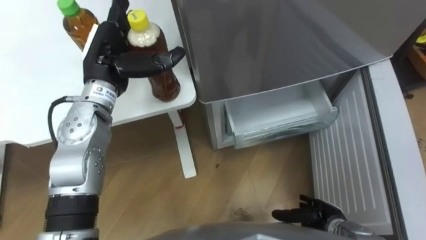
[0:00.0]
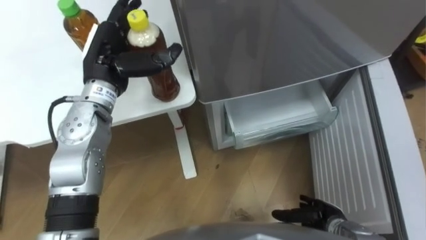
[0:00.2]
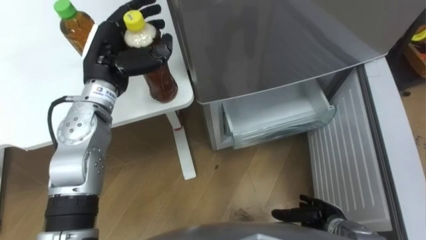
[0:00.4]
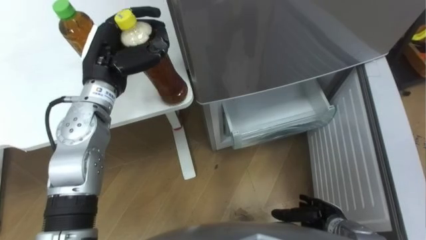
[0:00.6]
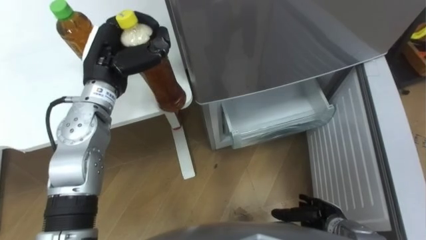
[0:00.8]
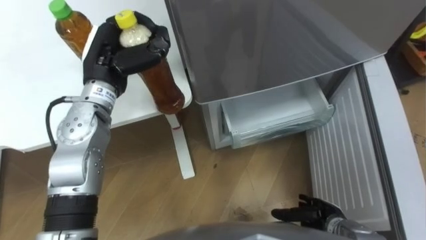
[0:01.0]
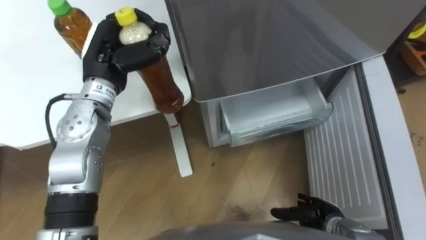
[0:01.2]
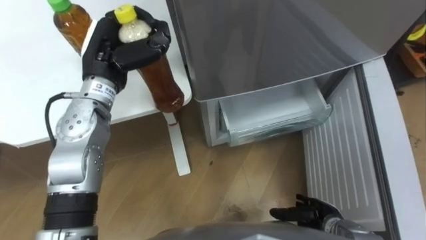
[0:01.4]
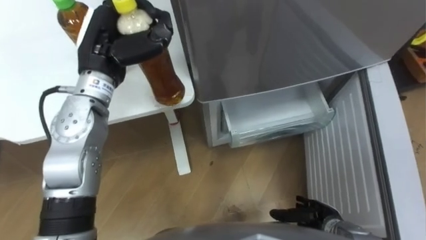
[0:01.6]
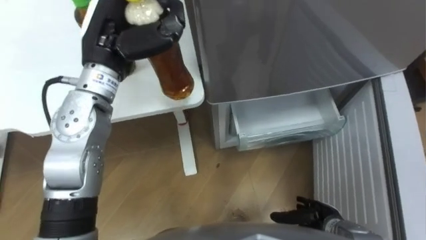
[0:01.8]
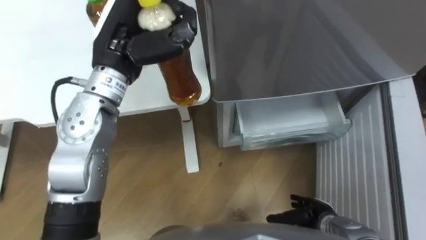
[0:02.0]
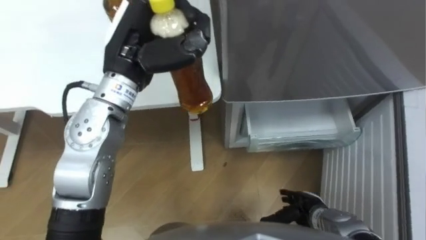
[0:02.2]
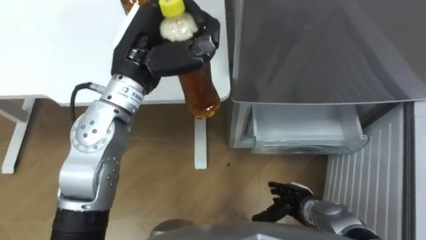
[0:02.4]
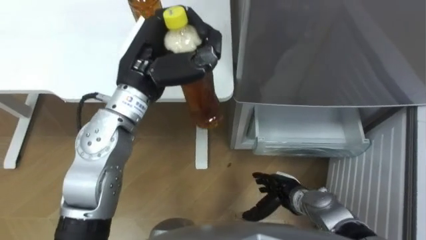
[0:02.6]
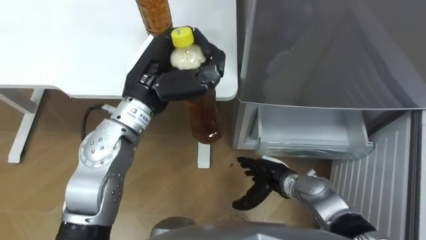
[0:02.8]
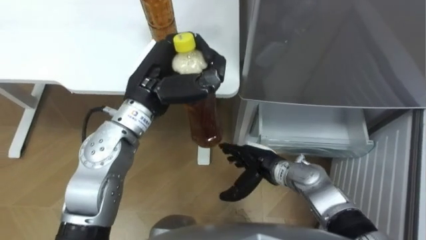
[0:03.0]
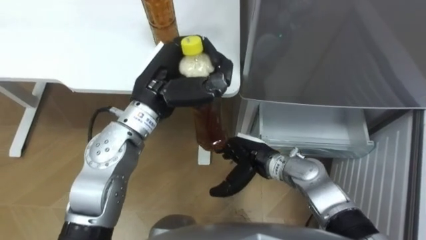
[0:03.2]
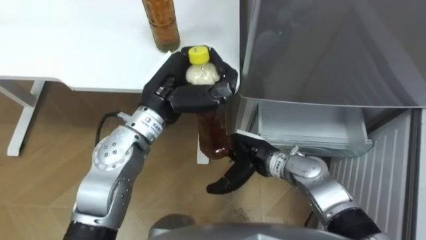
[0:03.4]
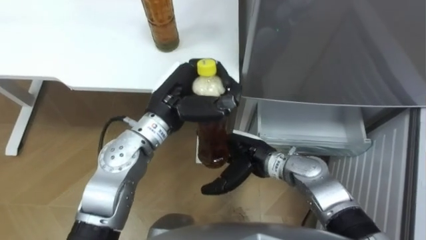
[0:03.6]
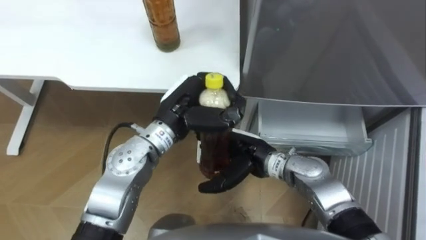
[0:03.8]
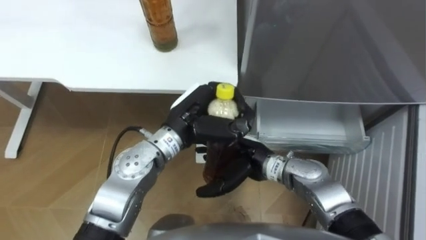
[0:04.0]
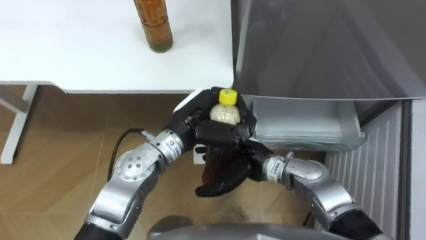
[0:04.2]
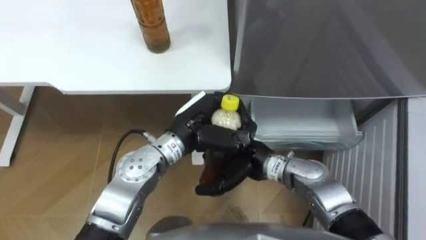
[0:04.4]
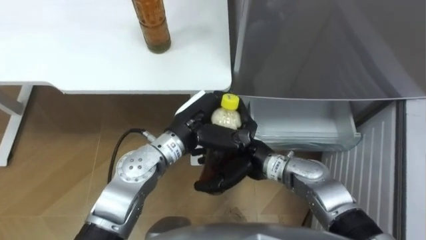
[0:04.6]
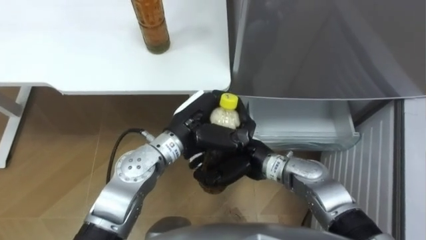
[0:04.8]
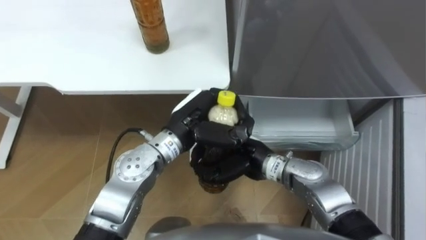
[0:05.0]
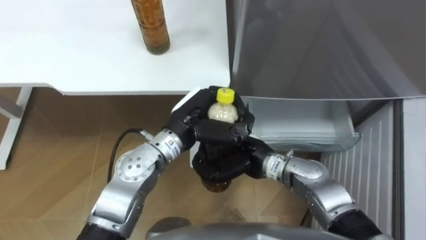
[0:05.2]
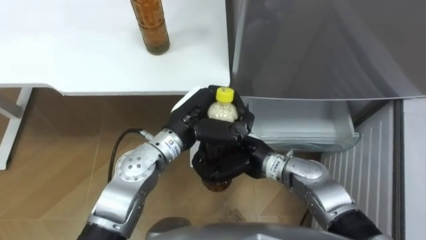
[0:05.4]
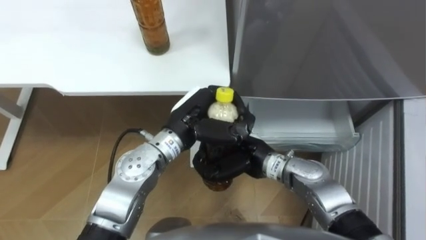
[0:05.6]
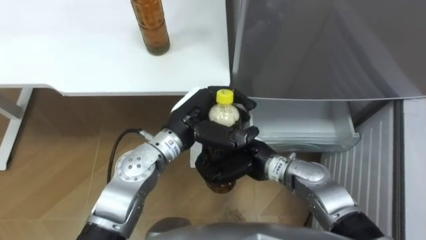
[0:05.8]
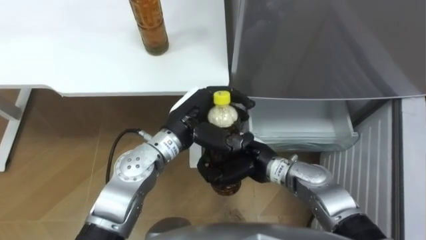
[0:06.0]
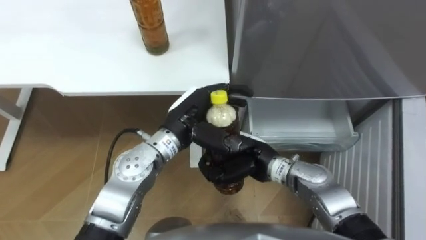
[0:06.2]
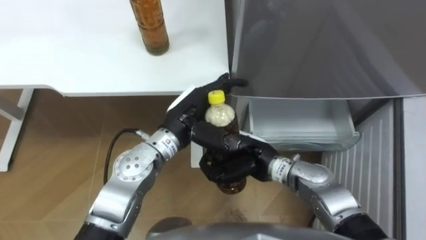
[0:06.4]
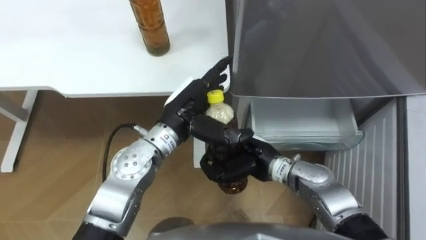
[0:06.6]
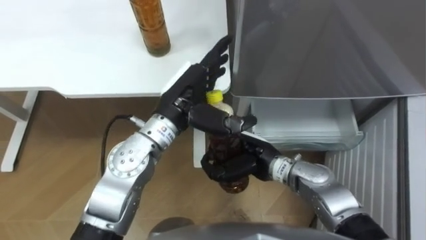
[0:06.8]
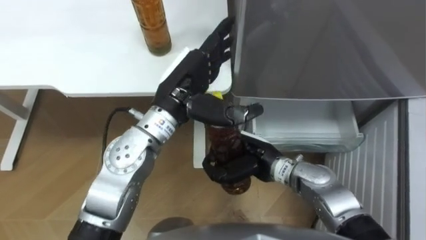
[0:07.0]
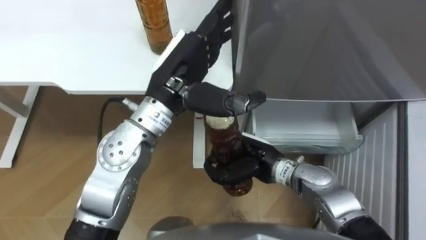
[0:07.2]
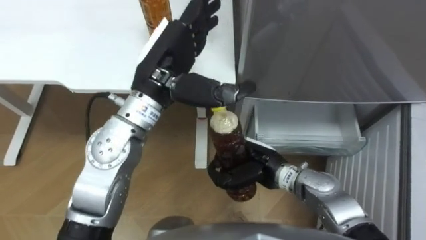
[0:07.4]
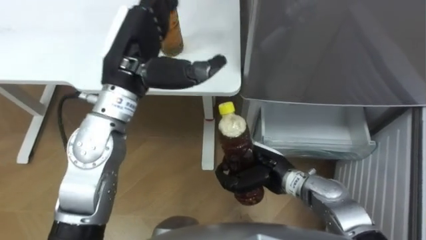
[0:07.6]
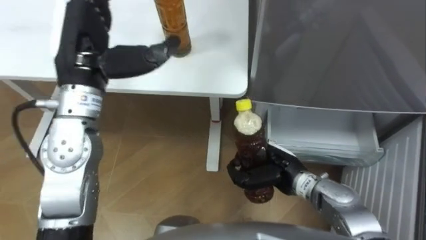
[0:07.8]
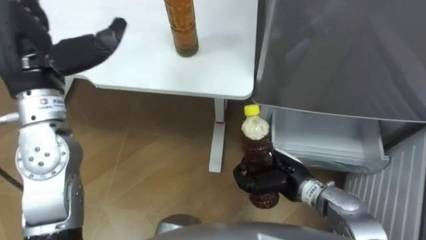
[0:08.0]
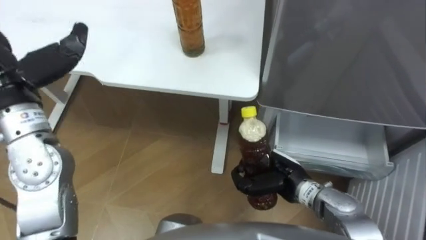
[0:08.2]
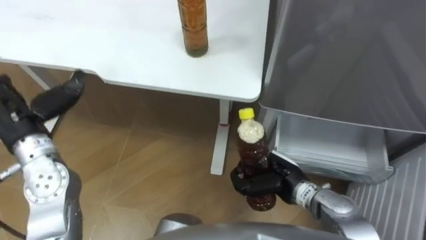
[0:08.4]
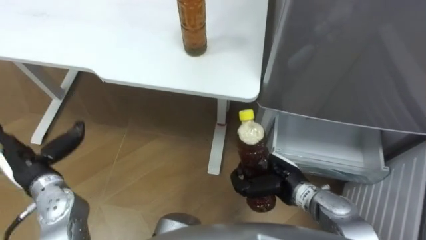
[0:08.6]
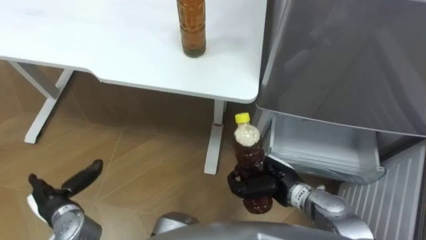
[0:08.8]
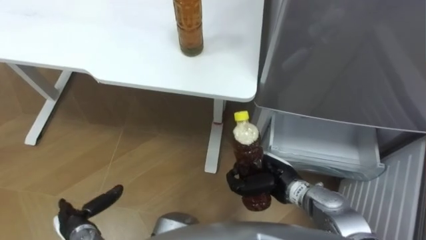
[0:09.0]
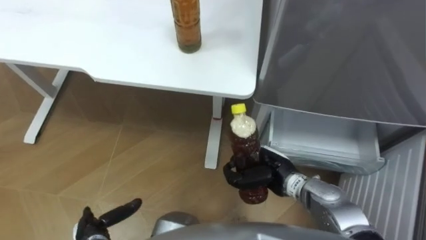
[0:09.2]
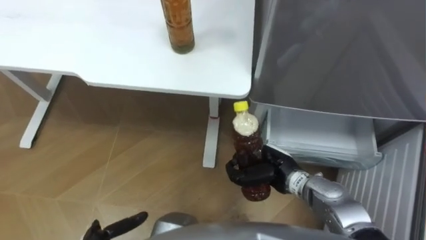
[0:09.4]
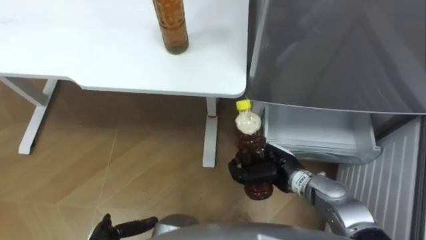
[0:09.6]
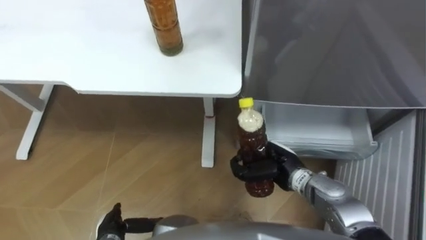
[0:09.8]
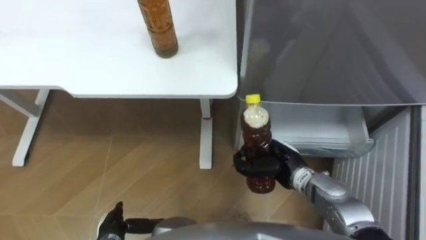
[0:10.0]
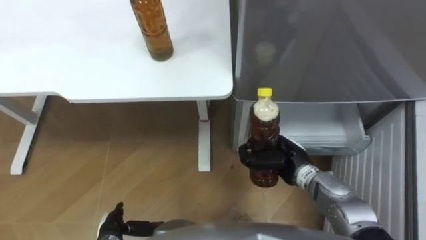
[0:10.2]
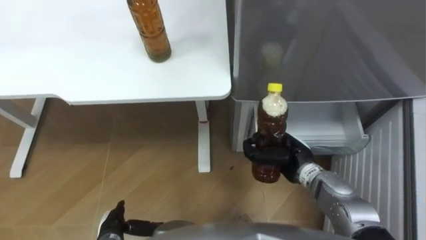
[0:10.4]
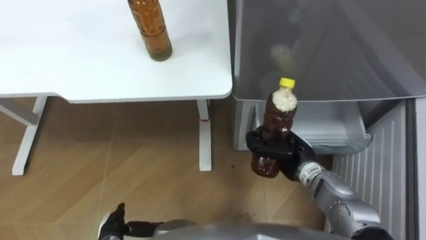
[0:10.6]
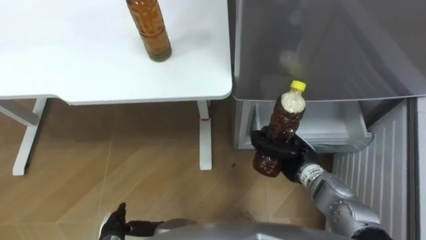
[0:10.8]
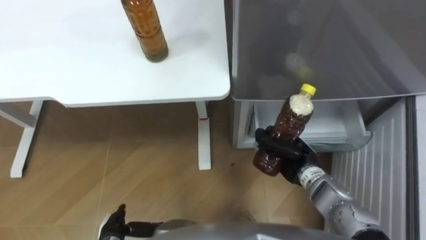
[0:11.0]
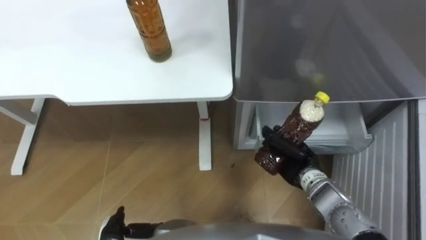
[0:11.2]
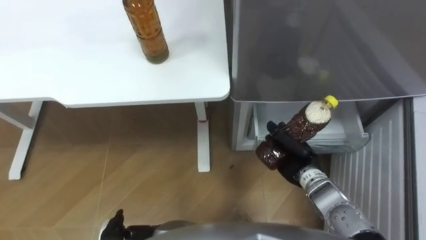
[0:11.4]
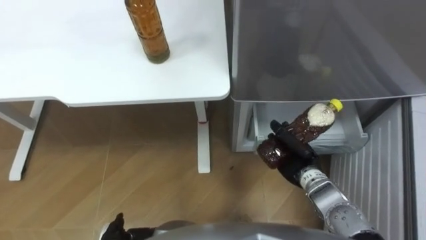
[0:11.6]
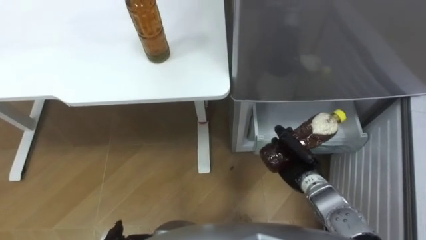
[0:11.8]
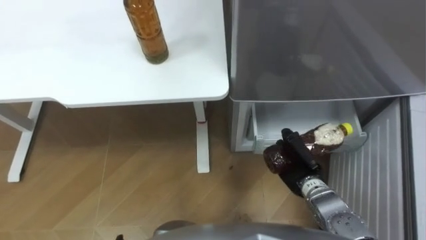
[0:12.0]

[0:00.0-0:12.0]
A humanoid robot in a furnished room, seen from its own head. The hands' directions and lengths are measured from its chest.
Task of the whole recording: Place the drink on the table on the bottom shelf of the refrigerator, then close the drawer and the refrigerator door.
0:00.0 to 0:01.6: The left hand closes up.
0:01.6 to 0:03.0: The right hand heads to the left, forward and upward, covering about 20 cm. The left hand is displaced to the right by about 10 cm.
0:03.0 to 0:04.4: The left hand travels downward and to the right by about 10 cm. The right hand heads upward, covering approximately 5 cm.
0:04.4 to 0:06.0: The right hand closes up.
0:06.0 to 0:07.6: The left hand goes some 15 cm upward and to the left, and opens its fingers.
0:09.0 to 0:10.4: The right hand ends up roughly 5 cm from where it was.
0:10.4 to 0:12.0: The right hand shifts by approximately 5 cm.

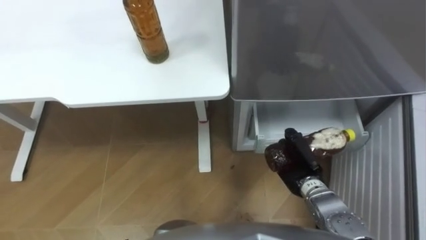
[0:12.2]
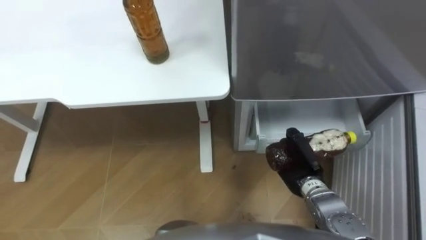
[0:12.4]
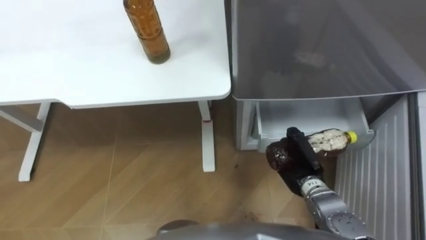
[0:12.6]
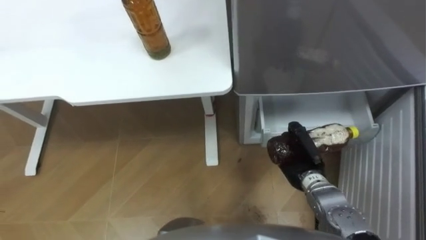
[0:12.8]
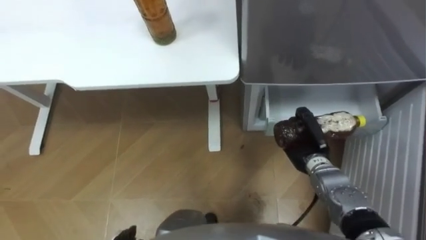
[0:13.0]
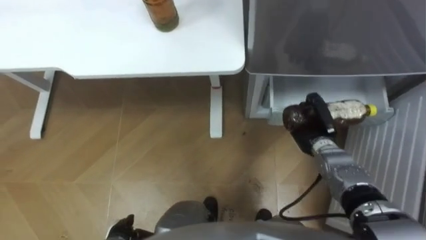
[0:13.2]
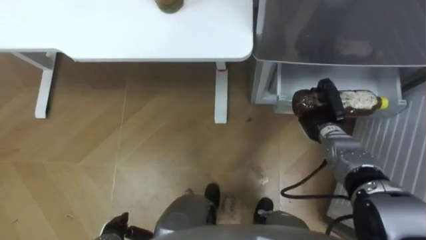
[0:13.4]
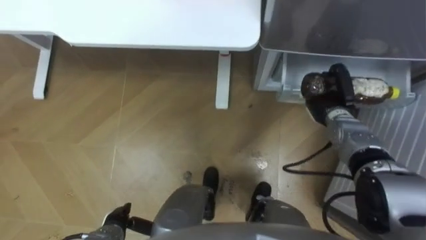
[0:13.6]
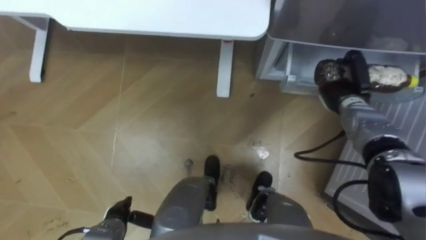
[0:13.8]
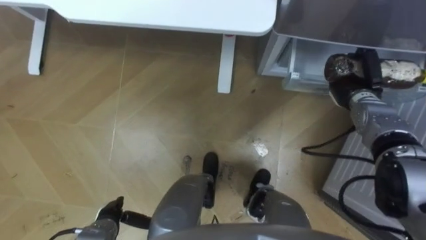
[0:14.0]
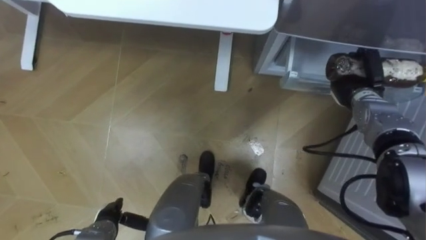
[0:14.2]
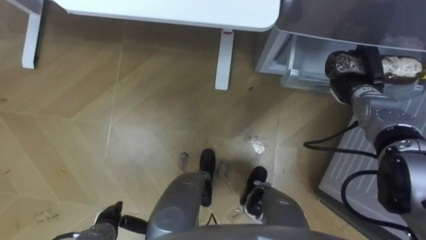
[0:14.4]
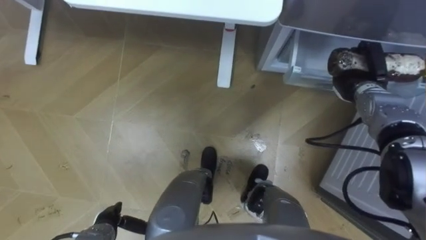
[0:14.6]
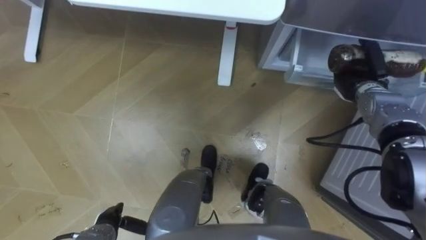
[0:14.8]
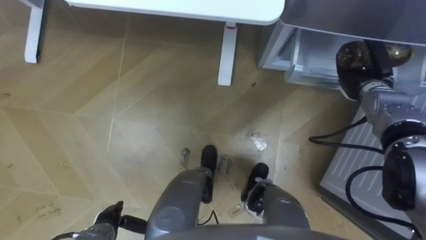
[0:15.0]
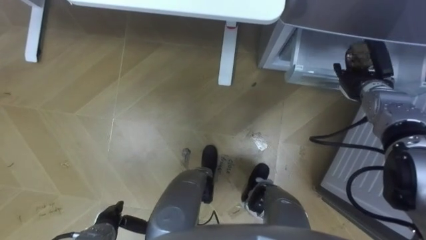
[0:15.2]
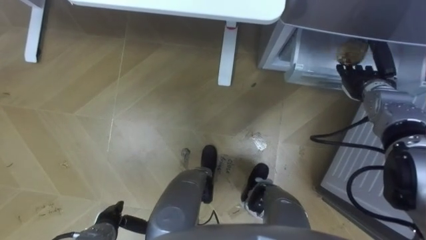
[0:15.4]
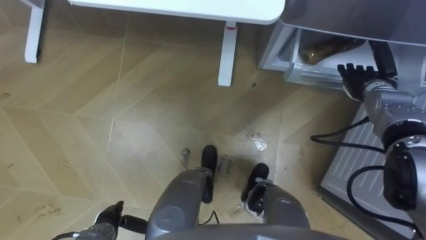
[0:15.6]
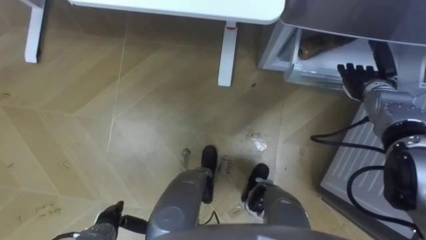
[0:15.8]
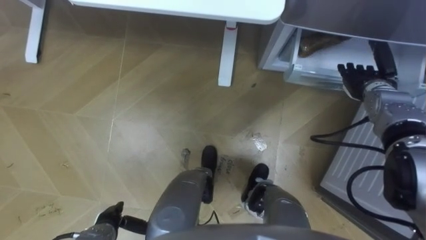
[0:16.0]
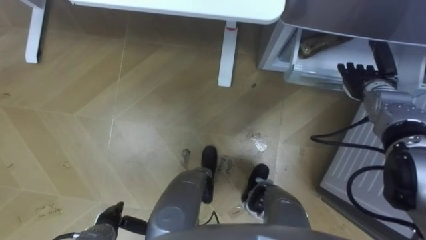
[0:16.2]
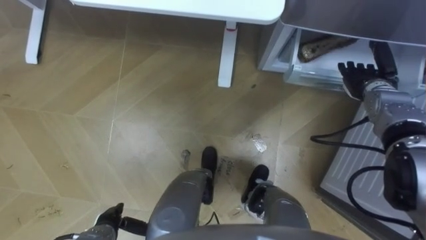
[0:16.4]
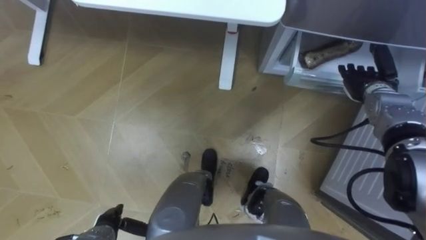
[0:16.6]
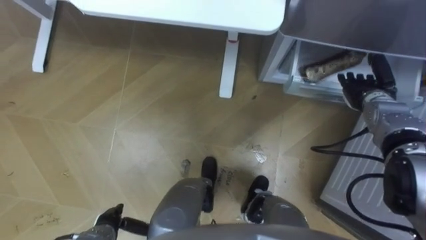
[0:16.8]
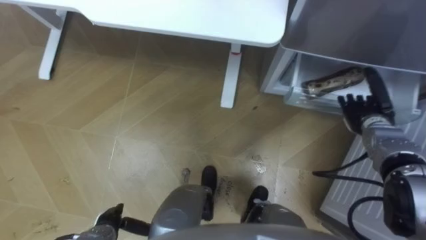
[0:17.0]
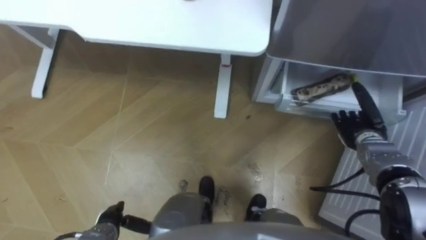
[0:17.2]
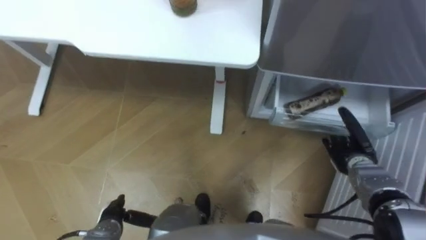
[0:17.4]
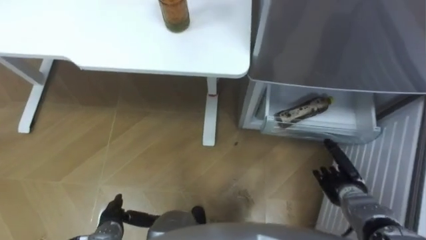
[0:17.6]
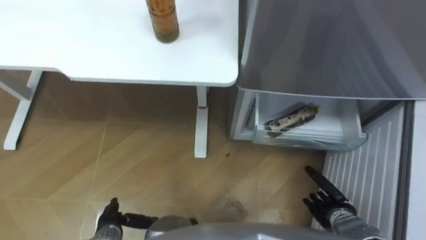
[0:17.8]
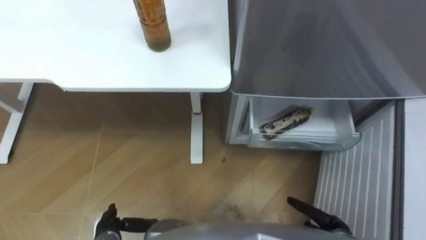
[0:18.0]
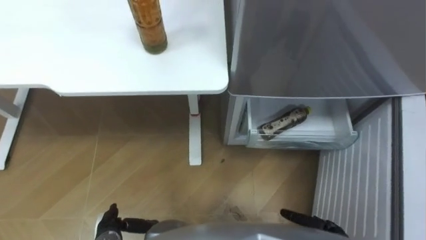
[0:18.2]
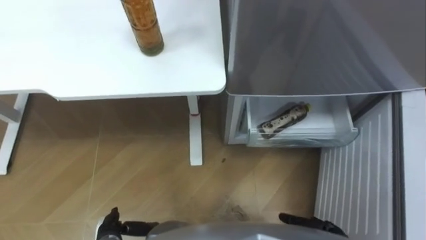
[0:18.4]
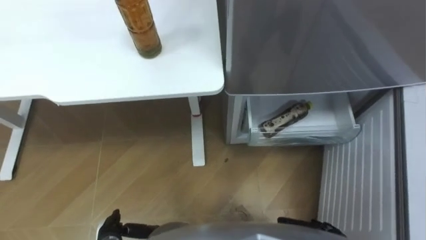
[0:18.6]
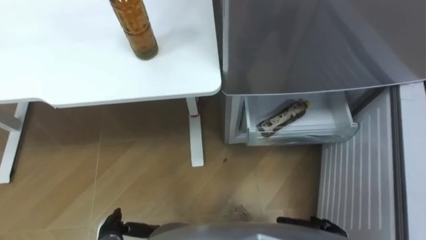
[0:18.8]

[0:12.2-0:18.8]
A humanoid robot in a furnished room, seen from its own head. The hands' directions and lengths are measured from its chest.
Task of the whole recording: Place the drink on the table on the bottom shelf of the refrigerator, then close the drawer and the refrigerator door.
0:12.2 to 0:13.8: The right hand shifts some 20 cm forward, to the right and upward.
0:13.8 to 0:15.4: The right hand shifts by approximately 5 cm, and opens its fingers.
0:15.4 to 0:17.2: The right hand heads backward and downward, covering roughly 10 cm.
0:17.2 to 0:18.8: The right hand is displaced backward and downward by roughly 25 cm.
